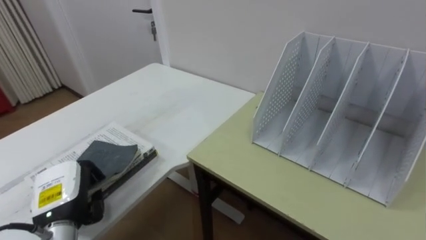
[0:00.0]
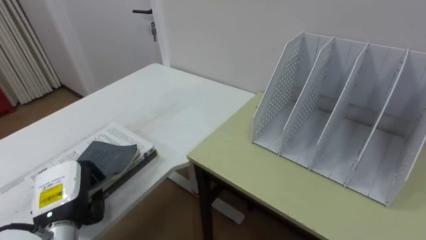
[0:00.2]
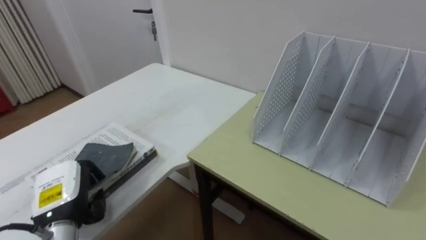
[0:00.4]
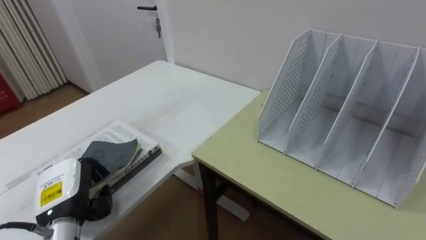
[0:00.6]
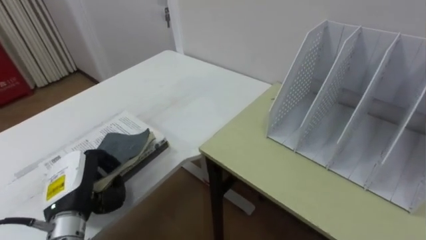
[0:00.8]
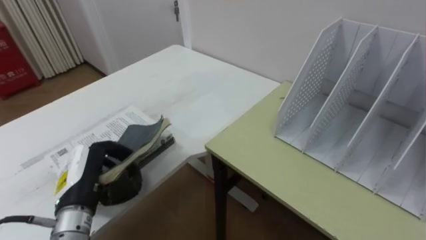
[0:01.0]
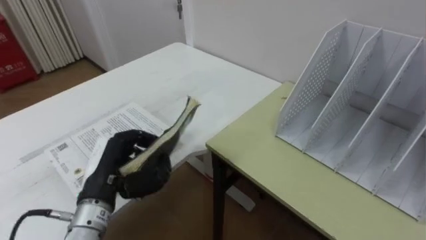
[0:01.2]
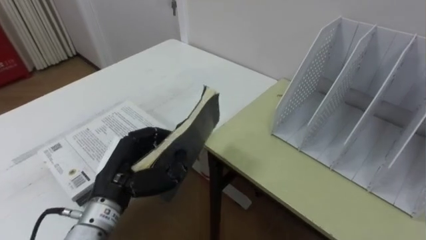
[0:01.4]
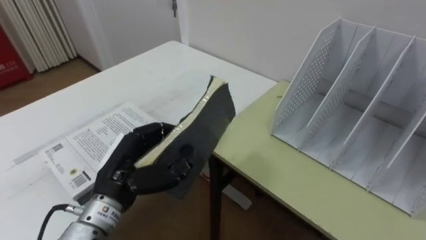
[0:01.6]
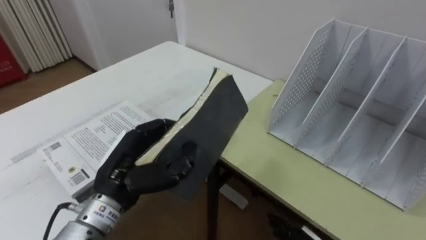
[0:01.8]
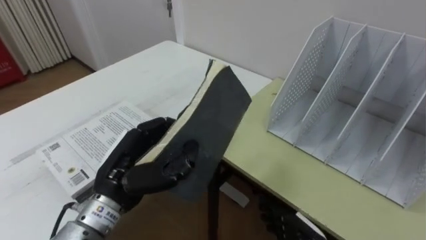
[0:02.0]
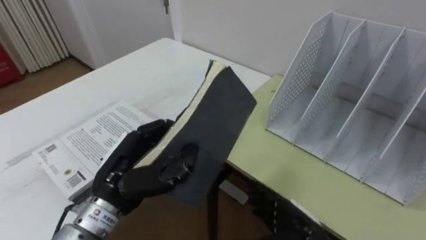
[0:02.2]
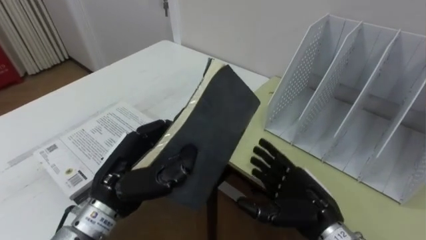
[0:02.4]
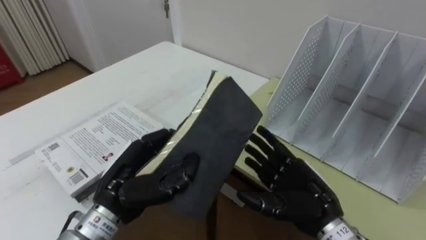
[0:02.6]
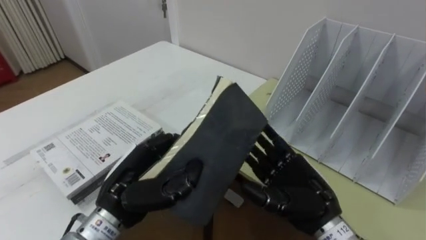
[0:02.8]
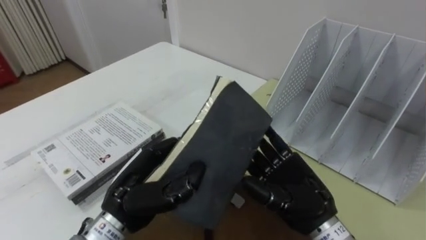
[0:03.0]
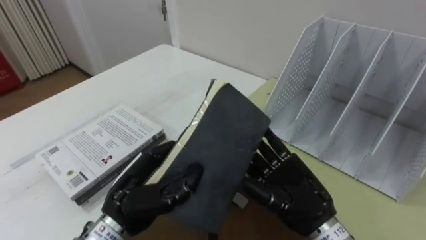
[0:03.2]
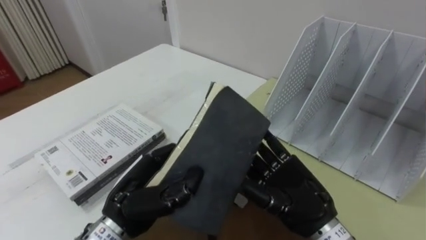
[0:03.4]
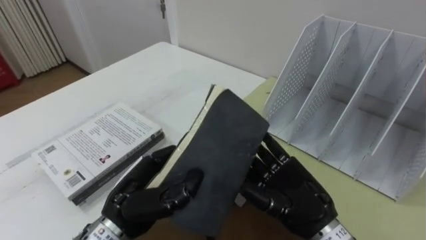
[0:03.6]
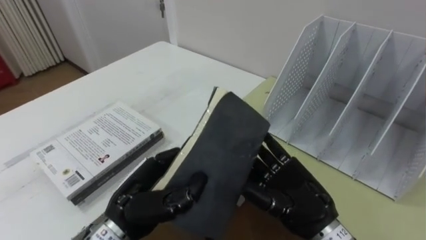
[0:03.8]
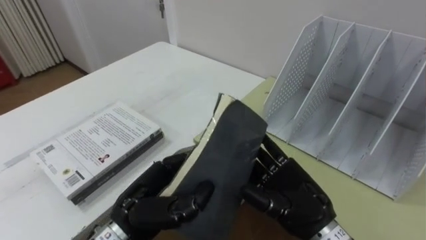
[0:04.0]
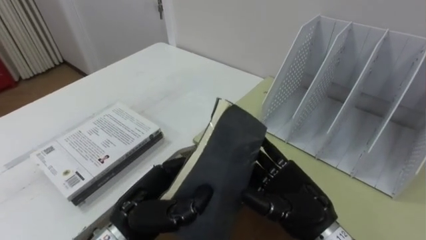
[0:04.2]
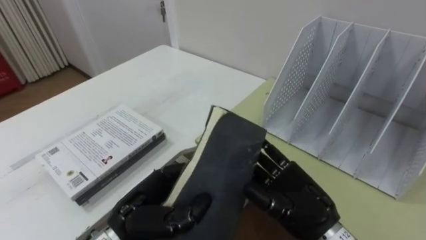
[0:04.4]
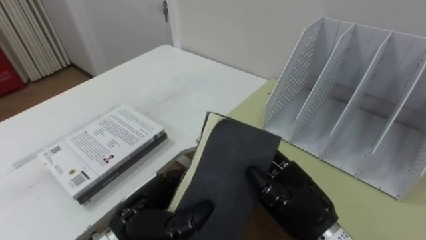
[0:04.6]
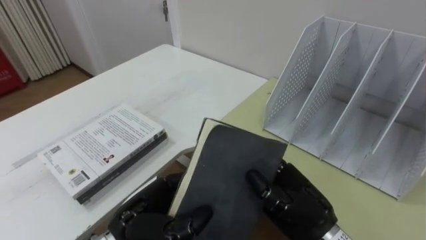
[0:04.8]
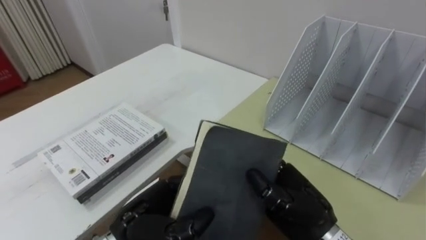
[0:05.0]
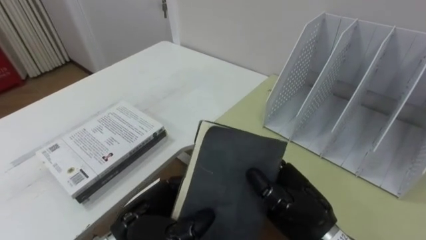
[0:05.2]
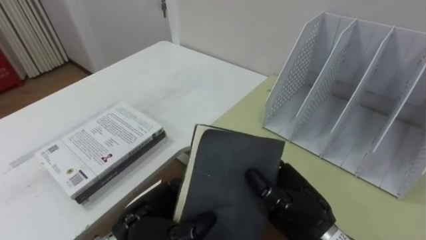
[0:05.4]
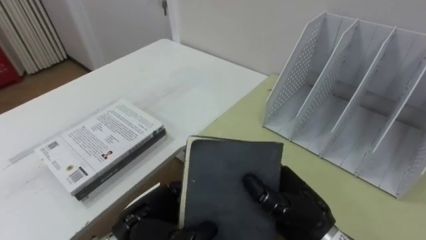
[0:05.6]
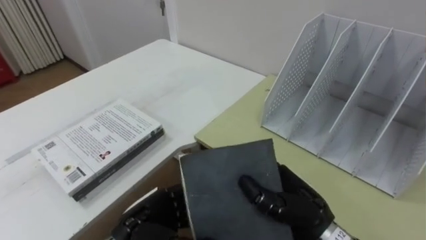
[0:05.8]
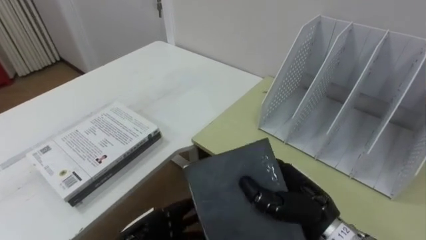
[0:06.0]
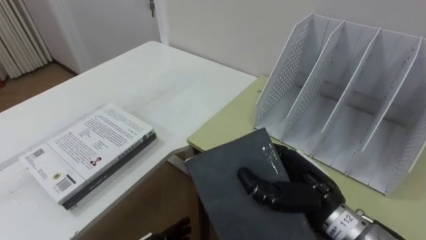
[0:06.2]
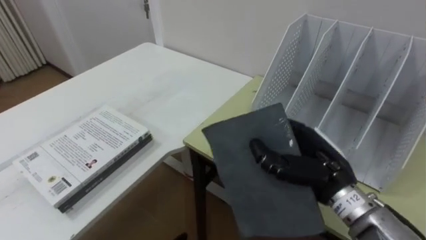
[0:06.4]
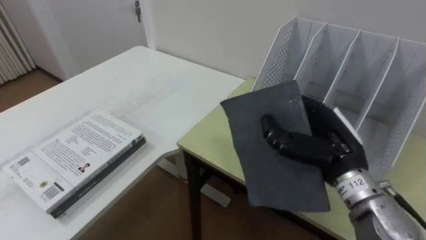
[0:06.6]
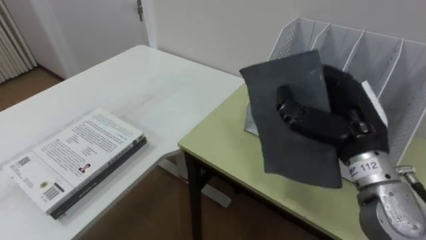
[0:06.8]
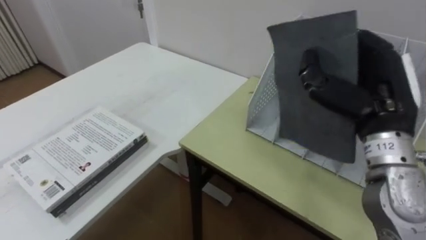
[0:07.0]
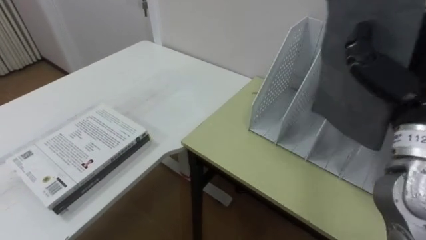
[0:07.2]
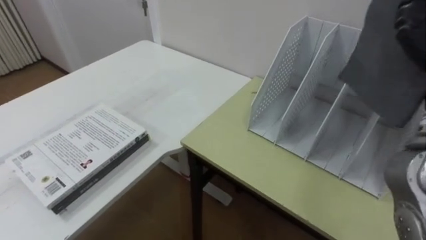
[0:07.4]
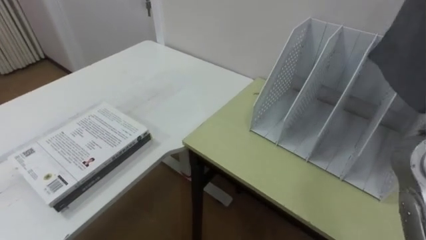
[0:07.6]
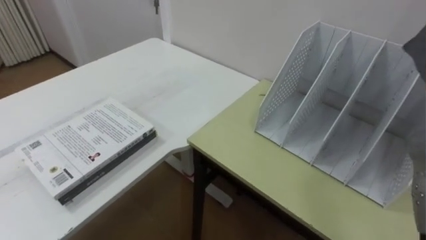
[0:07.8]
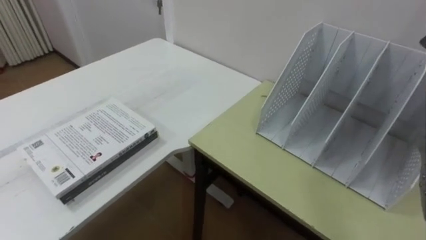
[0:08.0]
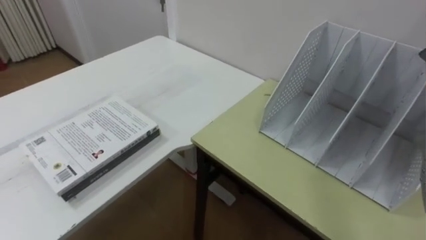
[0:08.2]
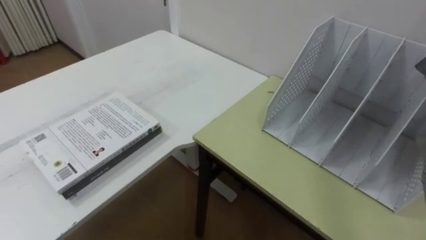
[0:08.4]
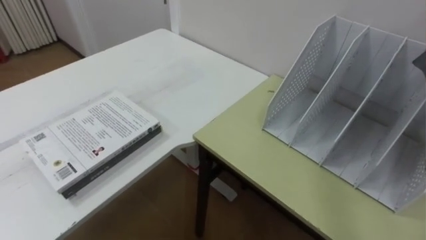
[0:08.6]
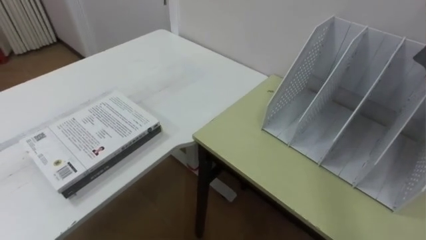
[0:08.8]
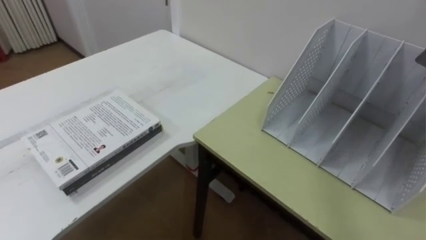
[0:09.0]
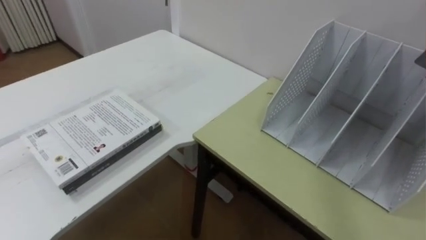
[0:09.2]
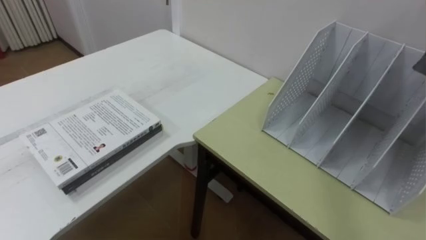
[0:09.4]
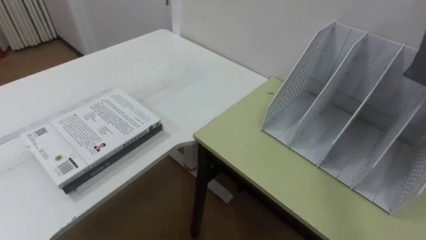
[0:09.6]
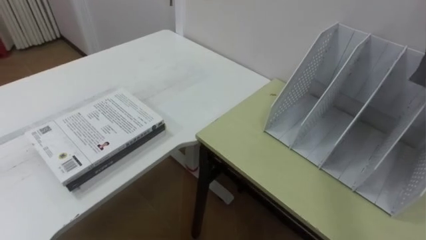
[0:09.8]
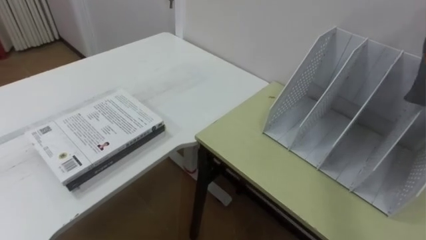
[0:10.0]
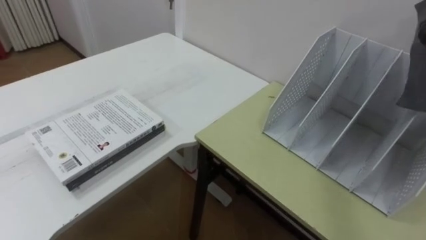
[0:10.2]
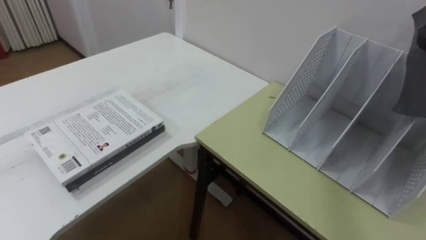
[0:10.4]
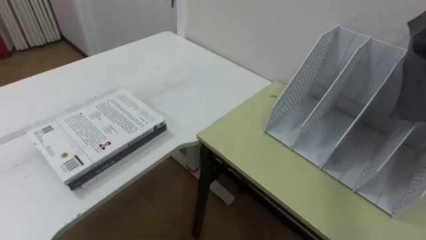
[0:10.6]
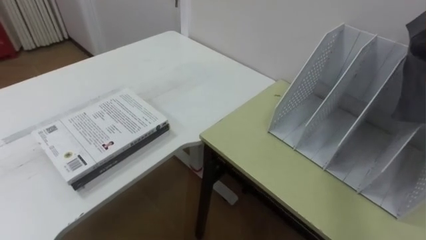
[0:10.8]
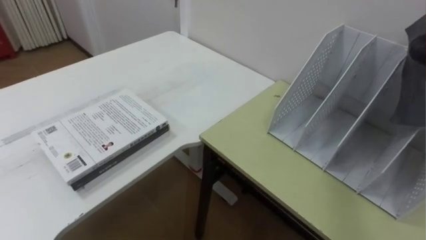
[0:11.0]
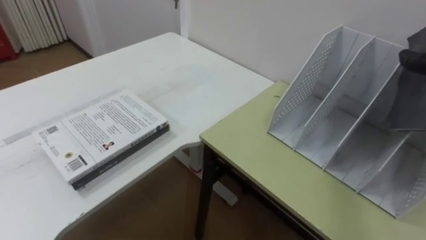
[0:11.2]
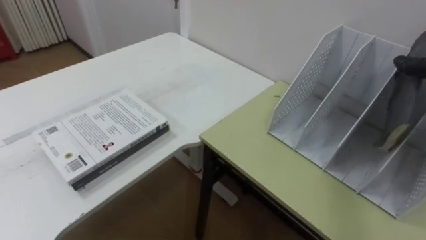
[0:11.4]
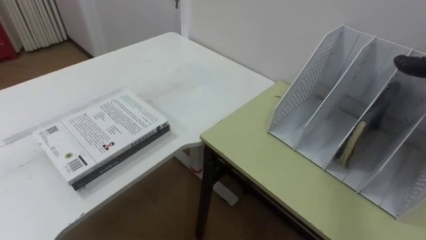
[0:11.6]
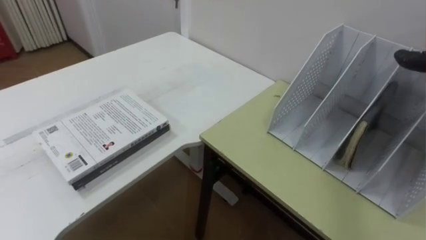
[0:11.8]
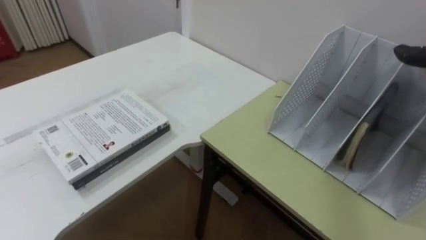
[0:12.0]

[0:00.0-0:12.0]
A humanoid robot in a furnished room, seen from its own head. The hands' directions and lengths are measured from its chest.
Task of the whole recording: Put the books on the table onto the bookshelf.
0:00.0 to 0:01.6: The left hand is displaced to the right and upward by some 15 cm.
0:03.0 to 0:04.4: The hands make only small movements.
0:04.4 to 0:06.0: The right hand closes its fingers, while the left hand goes roughly 10 cm downward, and opens.

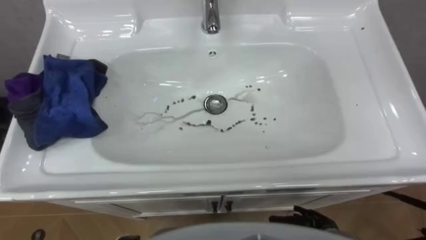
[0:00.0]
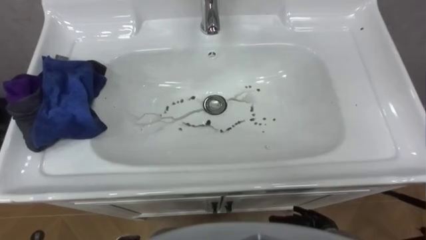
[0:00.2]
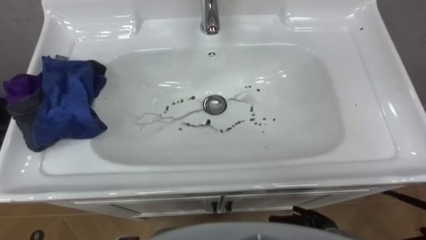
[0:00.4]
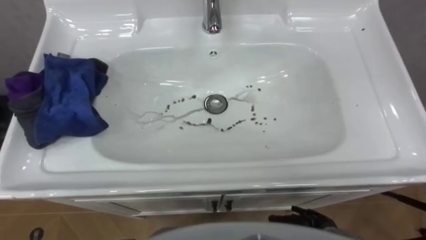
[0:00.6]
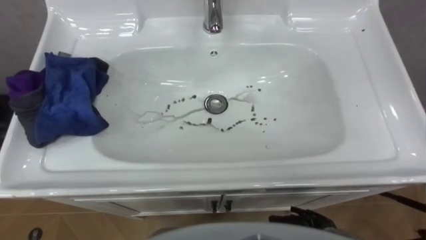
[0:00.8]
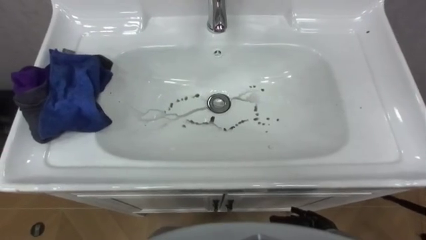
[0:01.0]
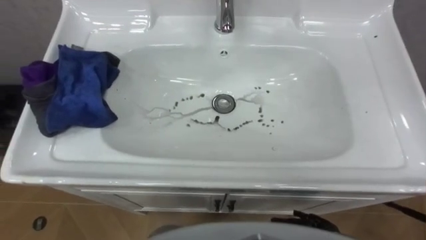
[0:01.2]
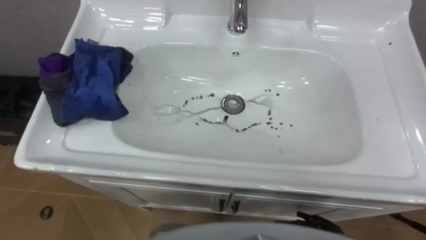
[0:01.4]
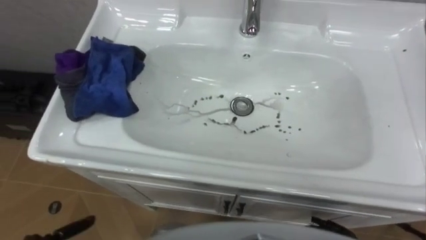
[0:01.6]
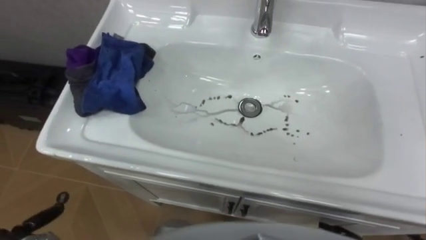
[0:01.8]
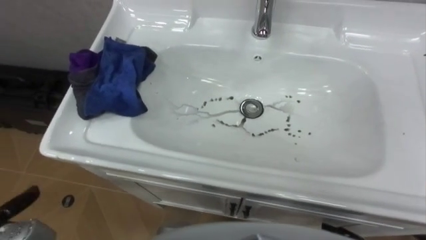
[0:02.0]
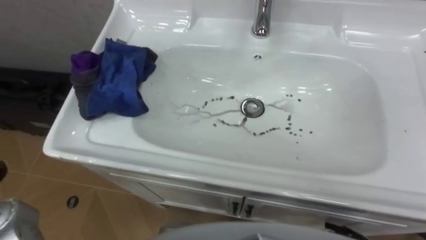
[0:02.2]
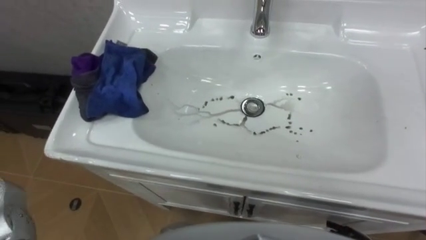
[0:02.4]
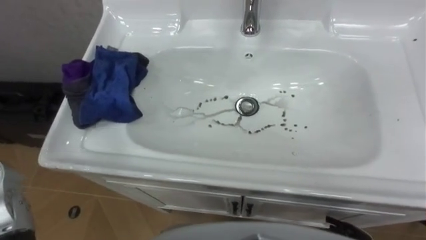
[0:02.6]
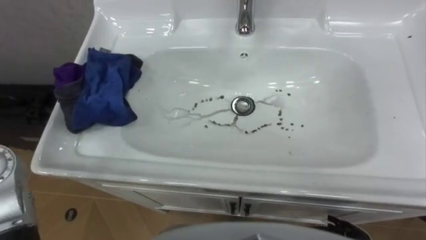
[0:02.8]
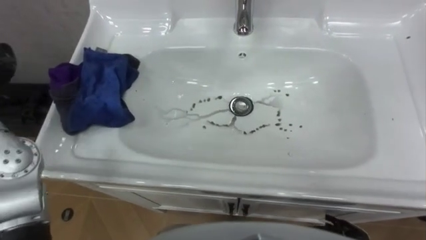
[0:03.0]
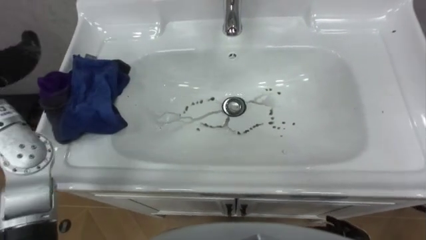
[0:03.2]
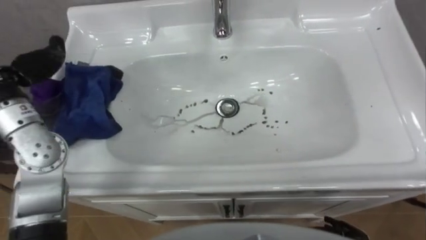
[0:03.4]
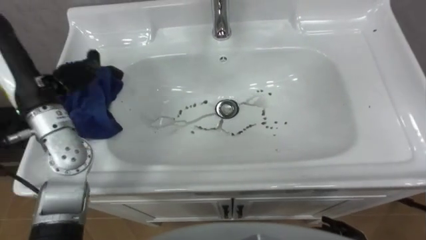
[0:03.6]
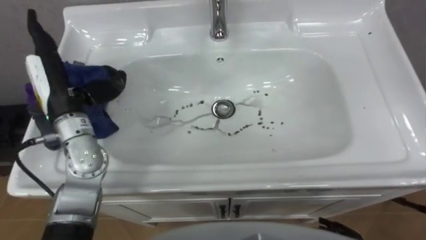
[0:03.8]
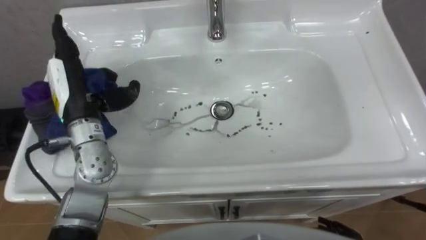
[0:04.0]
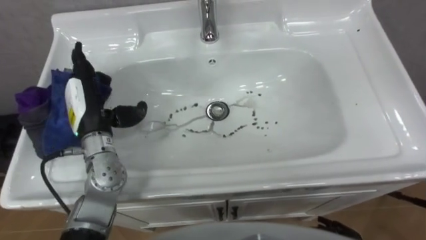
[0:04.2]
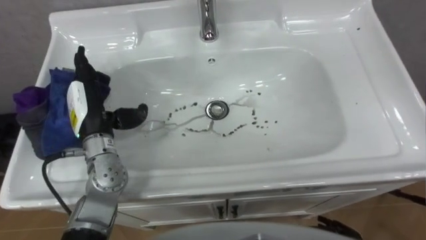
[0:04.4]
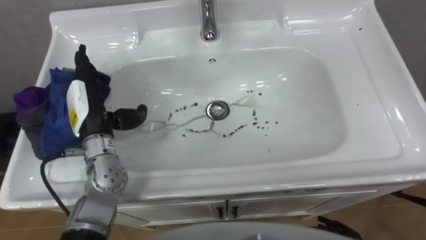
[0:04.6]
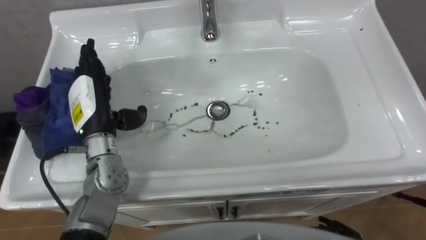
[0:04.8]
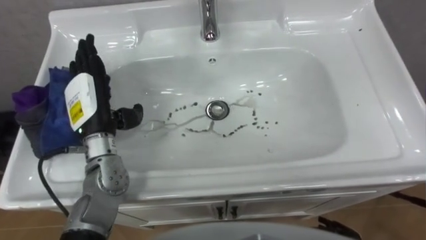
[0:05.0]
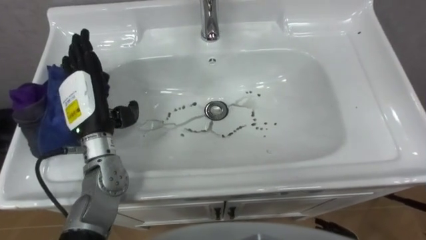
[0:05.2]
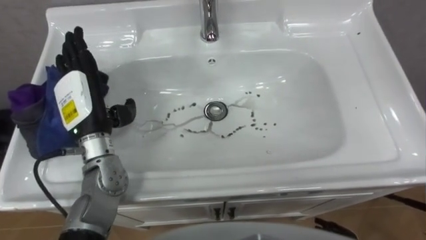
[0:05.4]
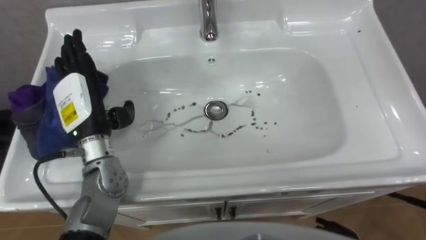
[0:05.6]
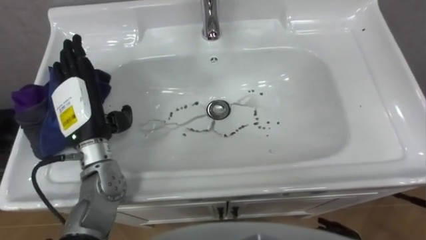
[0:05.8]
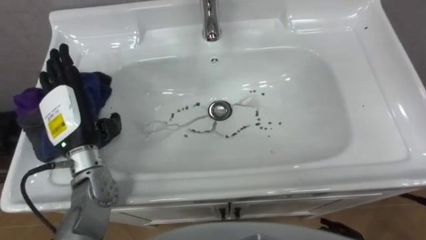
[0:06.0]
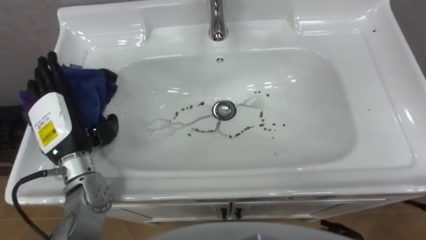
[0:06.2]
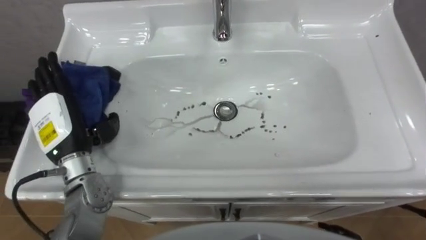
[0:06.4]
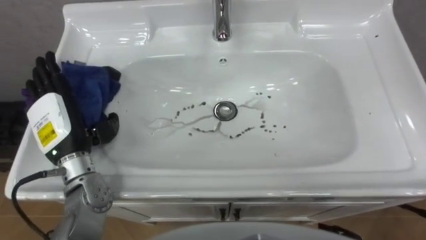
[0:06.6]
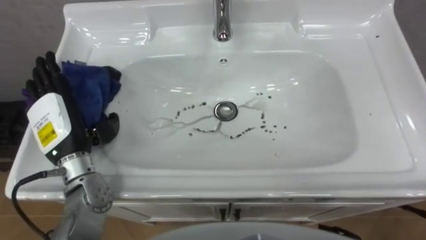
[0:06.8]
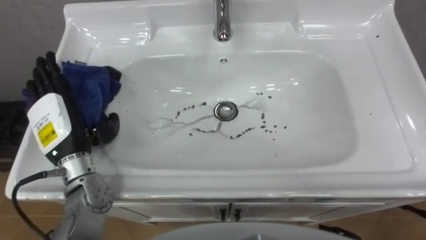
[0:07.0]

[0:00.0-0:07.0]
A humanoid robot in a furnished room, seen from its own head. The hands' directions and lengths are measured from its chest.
Task of the whole recording: Use the cloth on the right to wipe away the black stain in the sink.
0:05.6 to 0:07.0: The left hand ends up about 5 cm from where it was.
